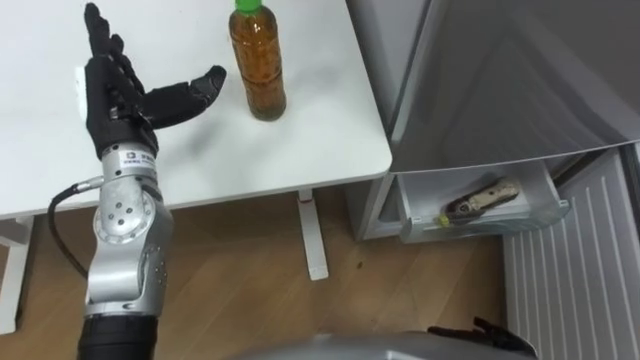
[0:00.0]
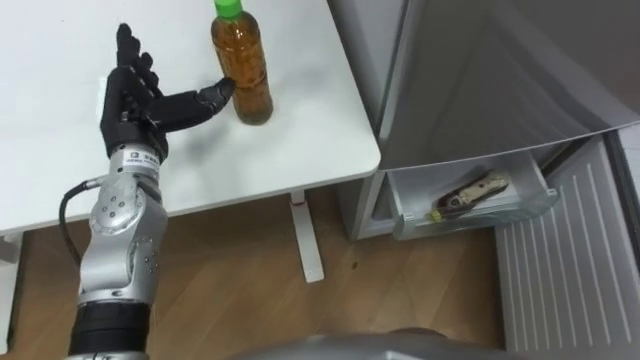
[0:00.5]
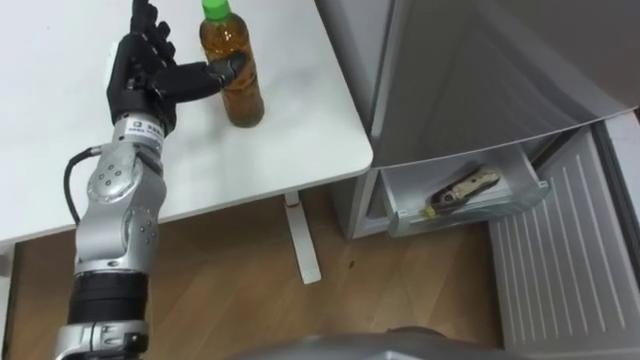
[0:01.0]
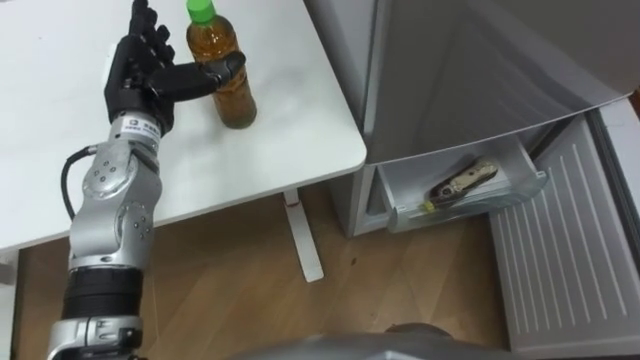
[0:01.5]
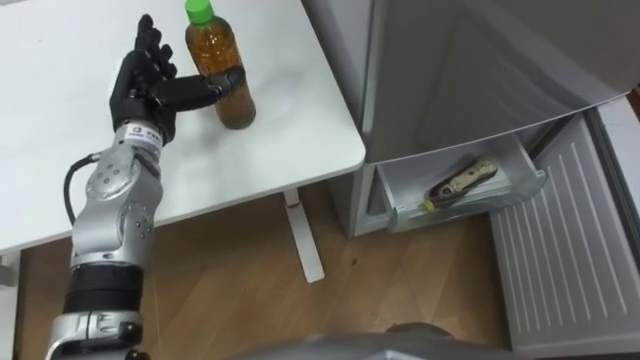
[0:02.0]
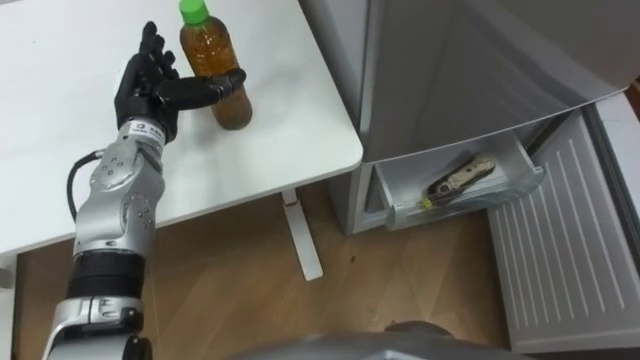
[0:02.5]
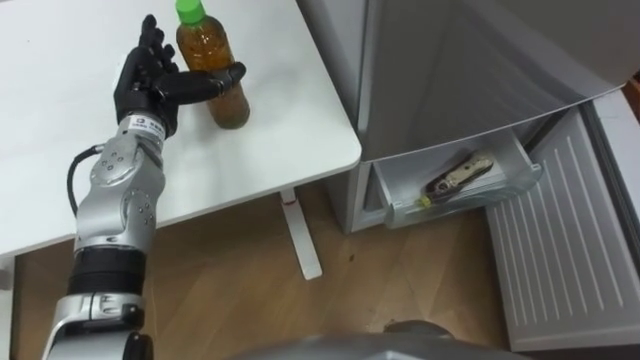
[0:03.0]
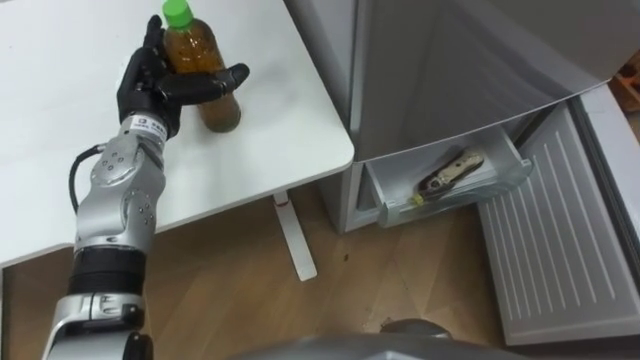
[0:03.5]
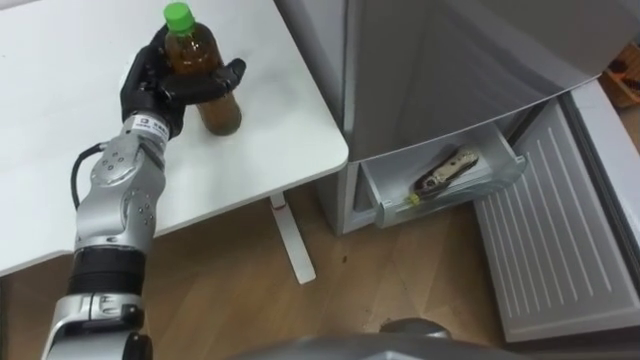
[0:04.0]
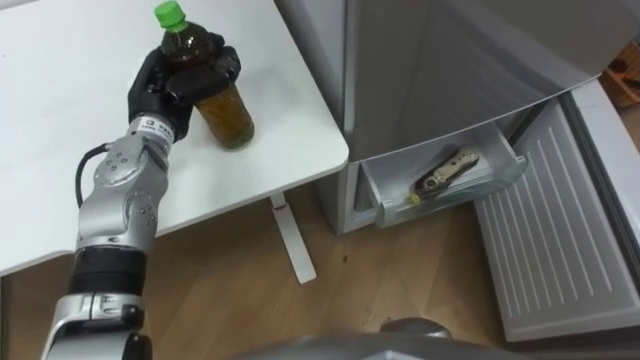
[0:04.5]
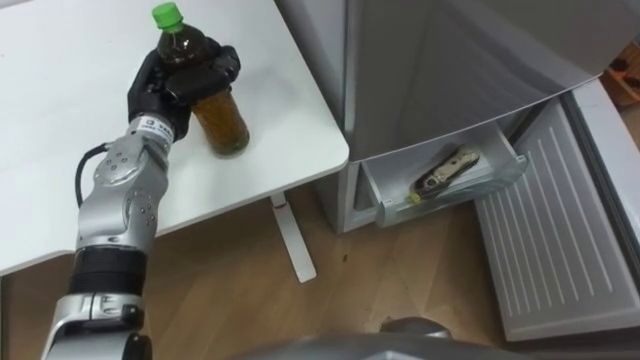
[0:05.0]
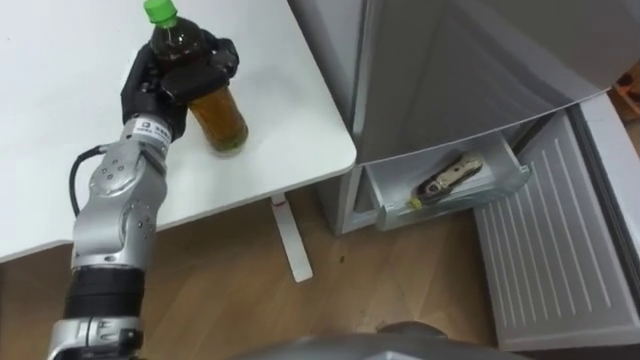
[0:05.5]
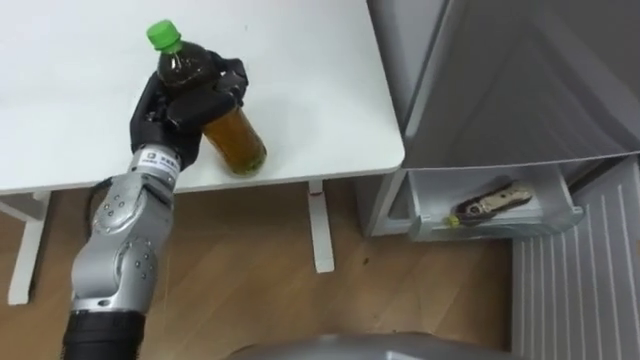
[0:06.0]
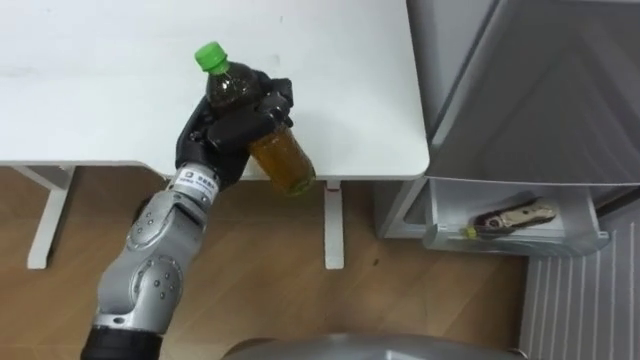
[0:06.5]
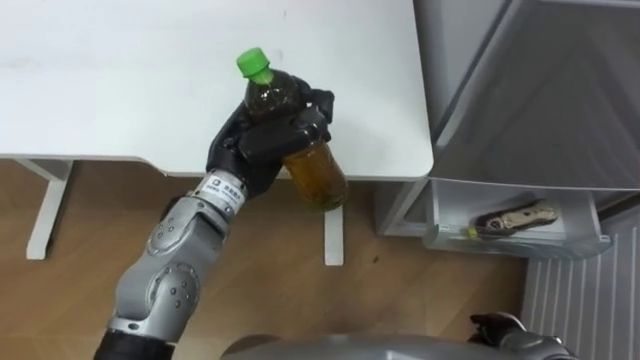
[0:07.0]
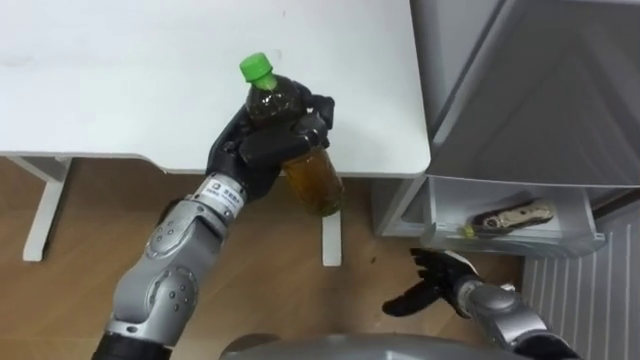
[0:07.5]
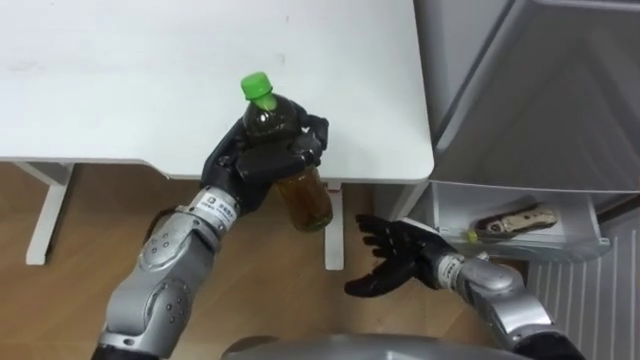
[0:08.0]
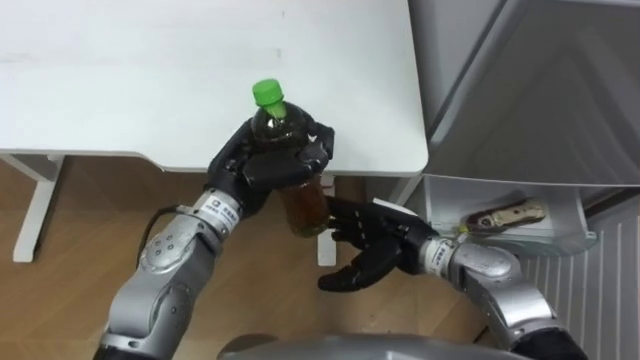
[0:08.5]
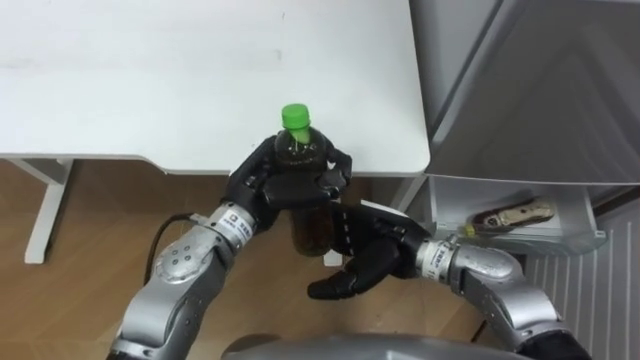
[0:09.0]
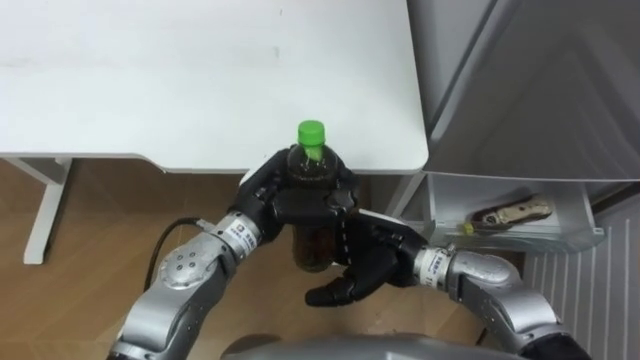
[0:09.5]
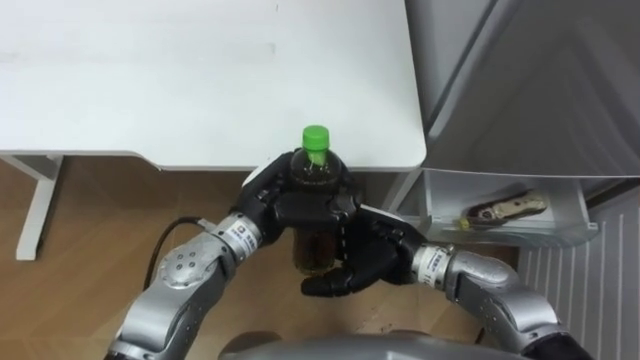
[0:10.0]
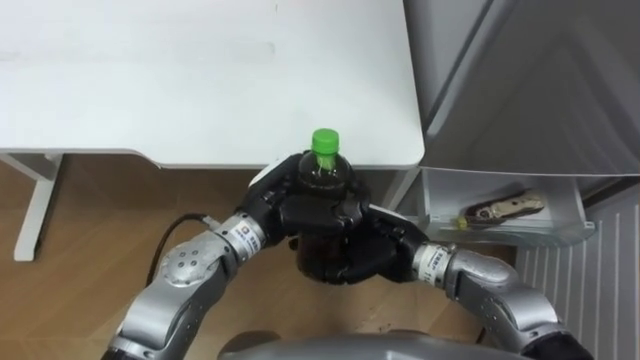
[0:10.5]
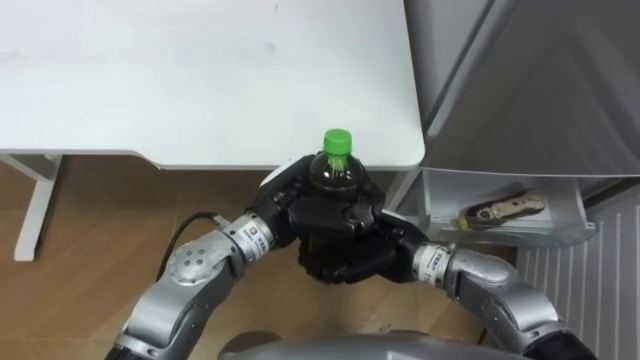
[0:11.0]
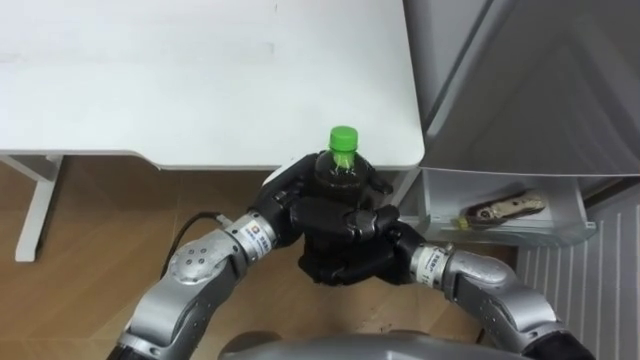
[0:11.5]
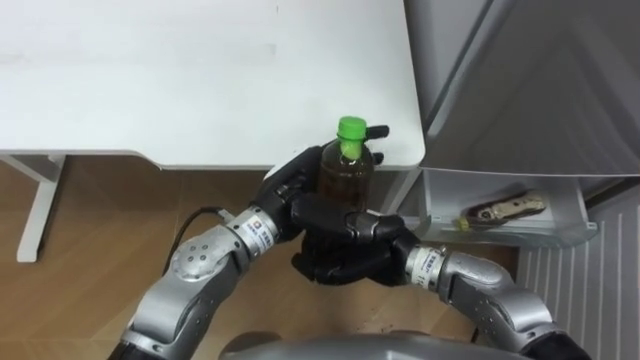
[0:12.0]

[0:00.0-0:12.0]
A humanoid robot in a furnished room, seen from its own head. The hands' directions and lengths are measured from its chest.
Task of the whole recording: Place the drink on the table on the bottom shelf of the refrigerator, then close the drawer and the refrigerator door.
0:00.0 to 0:02.0: The left hand moves about 5 cm.
0:04.0 to 0:06.0: The left hand ends up about 5 cm from where it was, and closes its fingers.
0:06.0 to 0:08.0: The left hand heads to the right, covering some 10 cm.
0:08.0 to 0:10.0: The right hand heads upward and to the left, covering roughly 10 cm. The left hand shifts by approximately 5 cm.
0:10.0 to 0:12.0: The left hand opens; the right hand closes its fingers.

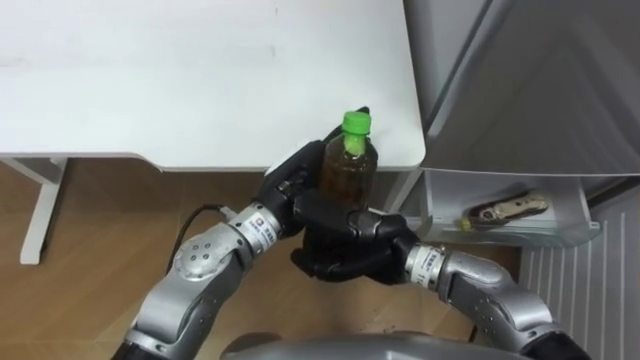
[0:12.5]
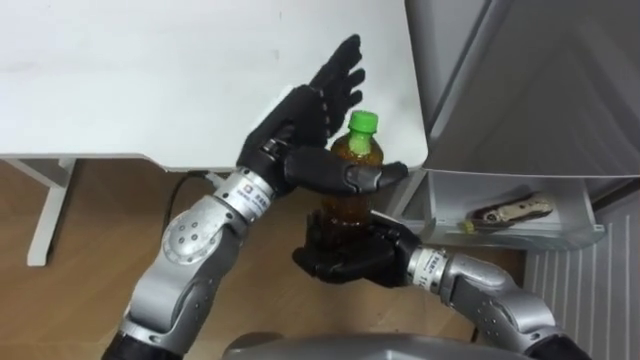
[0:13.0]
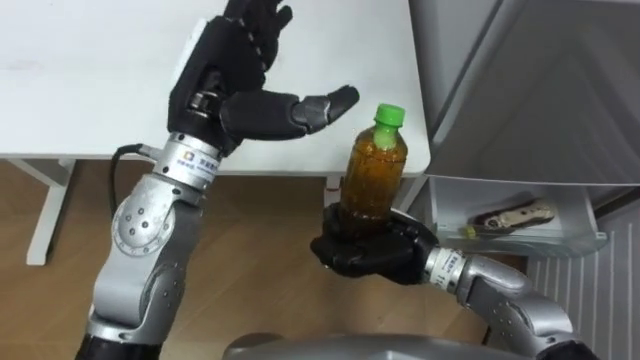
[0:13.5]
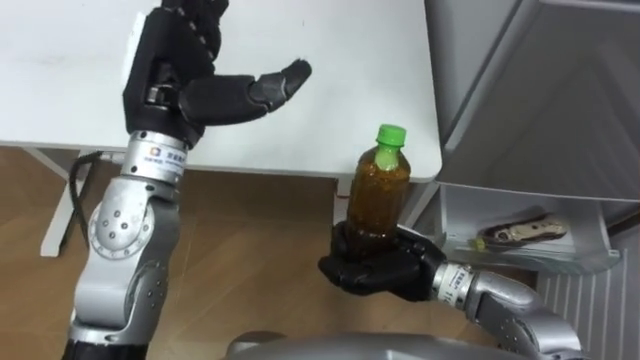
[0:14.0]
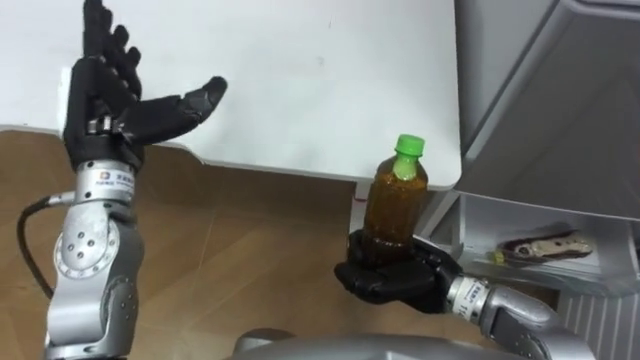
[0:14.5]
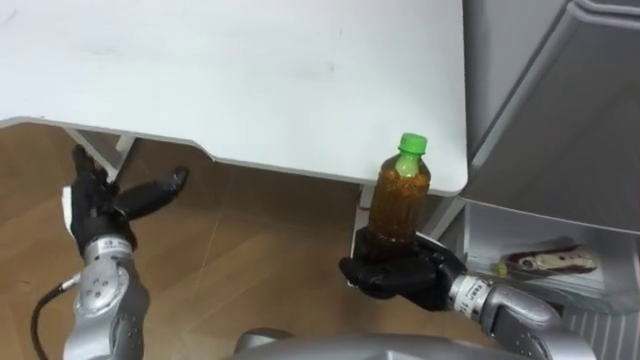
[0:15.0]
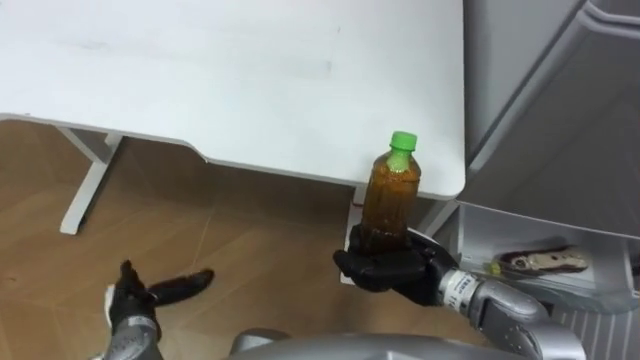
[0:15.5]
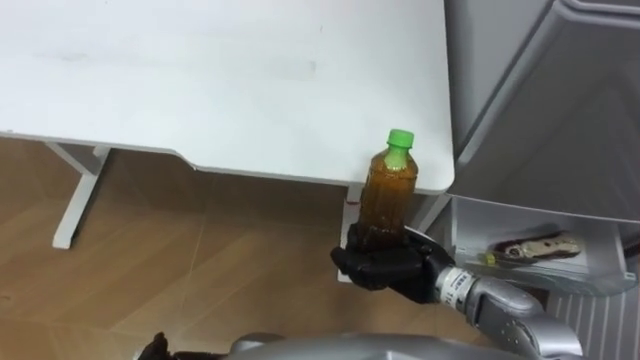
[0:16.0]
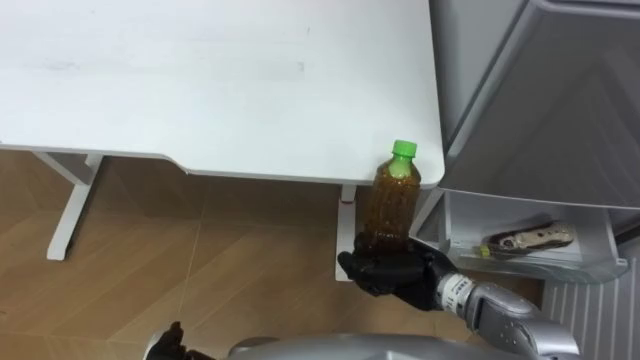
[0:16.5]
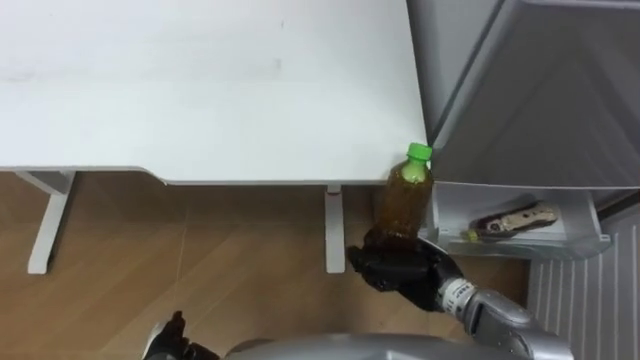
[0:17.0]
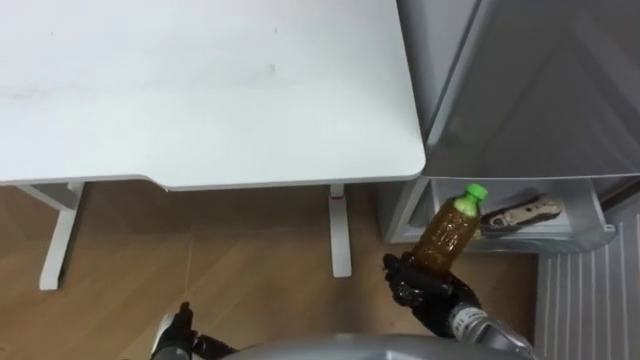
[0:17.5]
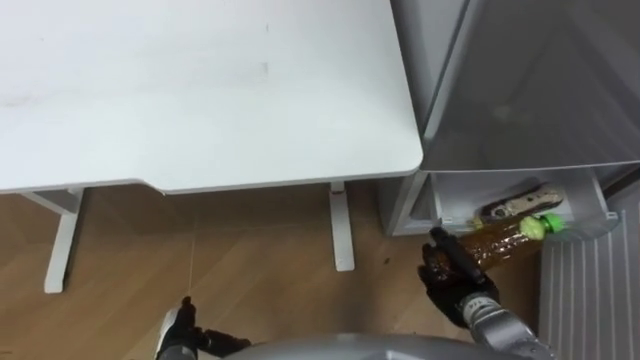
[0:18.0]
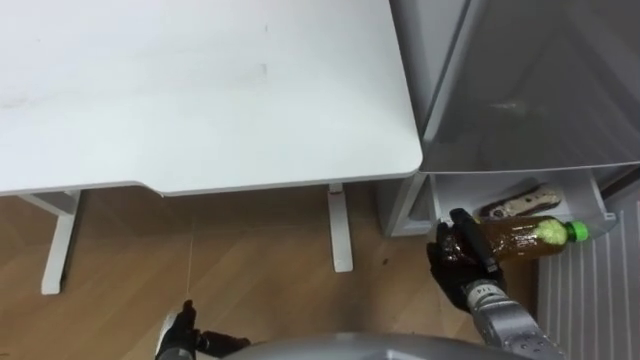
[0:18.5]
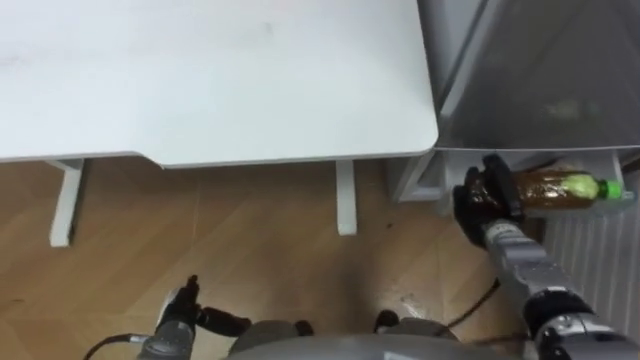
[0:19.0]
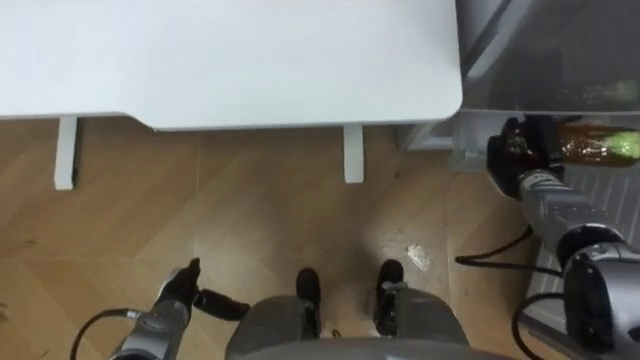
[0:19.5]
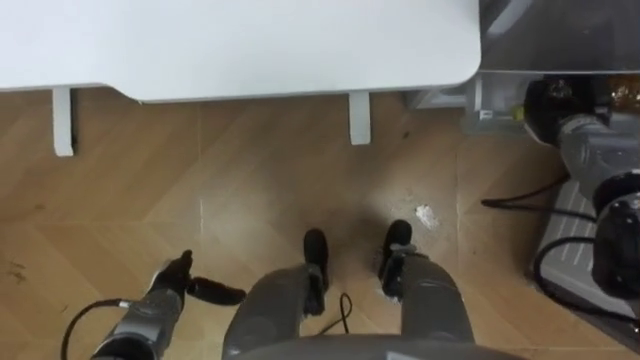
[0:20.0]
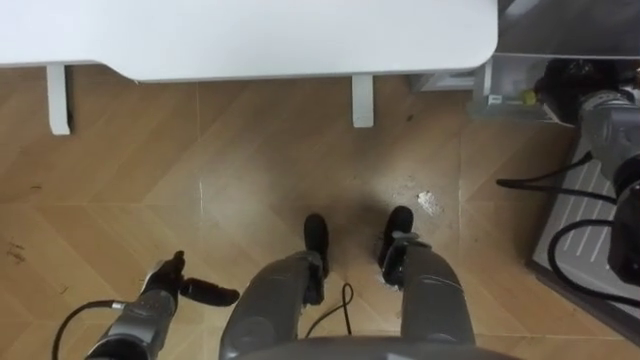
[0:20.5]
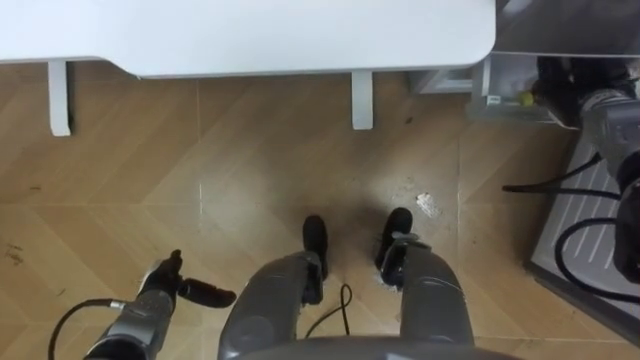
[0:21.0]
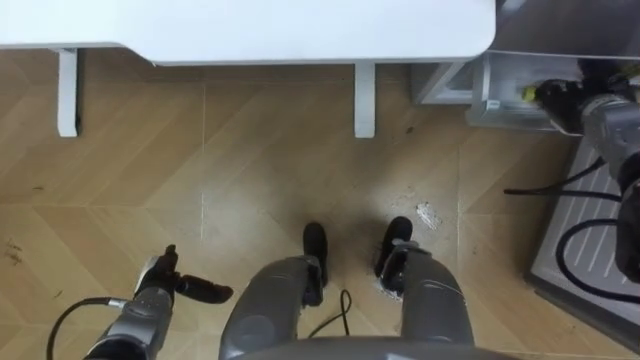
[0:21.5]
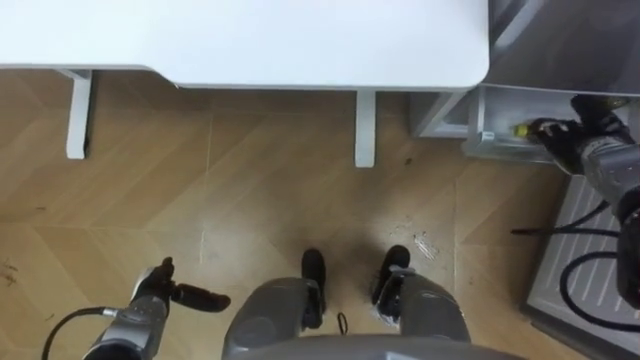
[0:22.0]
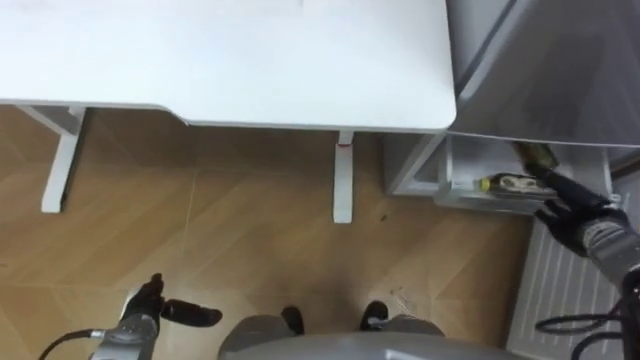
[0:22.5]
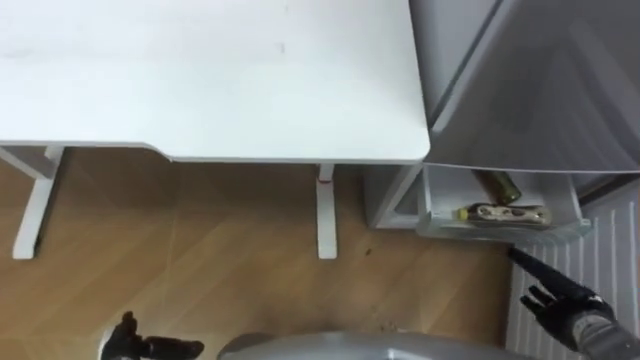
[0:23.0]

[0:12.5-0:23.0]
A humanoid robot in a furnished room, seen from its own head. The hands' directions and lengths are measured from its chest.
Task of the whole recording: Place the drink on the table on the bottom shelf of the refrigerator, then close the drawer and the refrigerator door.
0:12.5 to 0:14.5: The left hand goes roughly 20 cm to the left, while the right hand heads to the right, covering approximately 5 cm.
0:16.5 to 0:19.0: The right hand moves to the right and forward, about 15 cm.
0:19.0 to 0:21.0: The right hand travels upward, forward and to the right by roughly 20 cm, and opens its fingers, while the left hand changes place by roughly 5 cm.
0:21.0 to 0:23.0: The left hand shifts about 10 cm backward, while the right hand heads backward and downward, covering approximately 30 cm.
